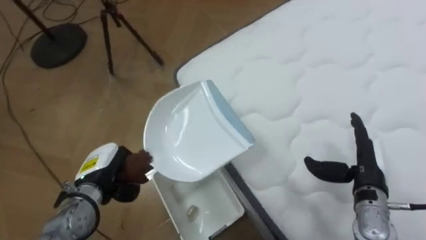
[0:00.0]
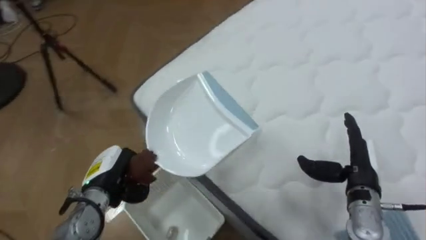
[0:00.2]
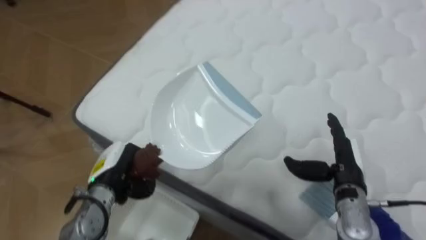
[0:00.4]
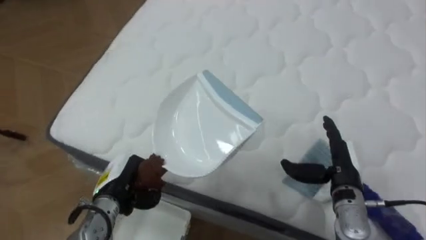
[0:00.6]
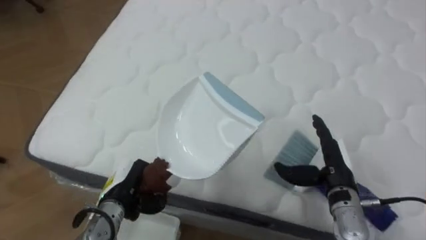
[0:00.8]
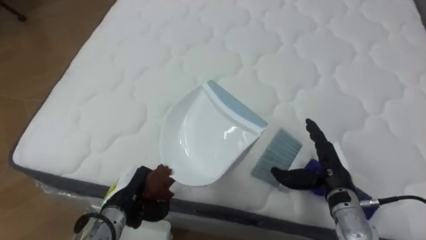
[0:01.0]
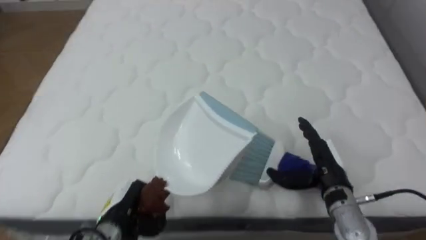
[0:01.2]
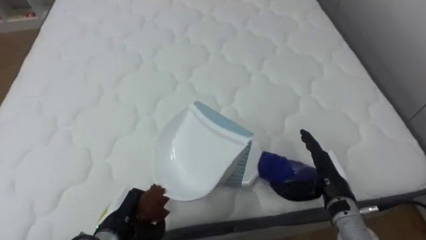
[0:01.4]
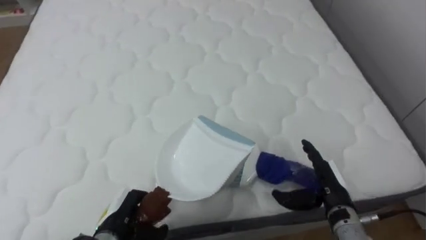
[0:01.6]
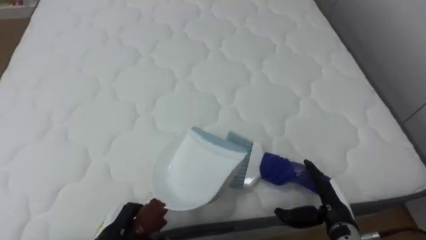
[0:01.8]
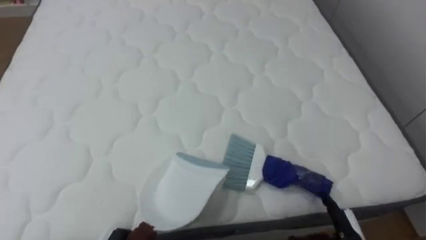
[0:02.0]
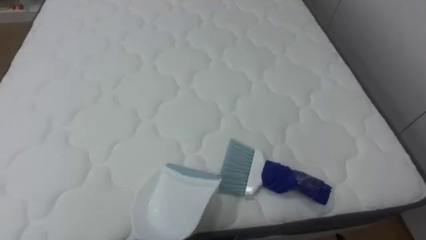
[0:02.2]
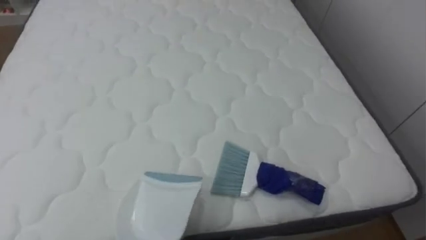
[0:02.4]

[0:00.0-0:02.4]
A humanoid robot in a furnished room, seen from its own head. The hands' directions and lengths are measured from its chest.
Task of the whole recording: Pick up the brush on your right and the dustpan on your left. Use the brush to sweep the crumpled paper on the bed into the dustpan, then turn left and empty it into the basket.
0:00.0 to 0:01.2: The robot faces approximately 65 degrees further to its right. The right hand heads to the left, covering about 5 cm. The left hand shifts approximately 5 cm backward.

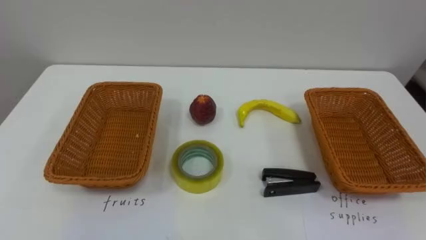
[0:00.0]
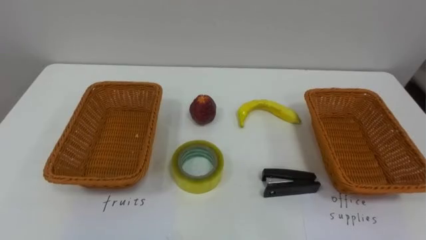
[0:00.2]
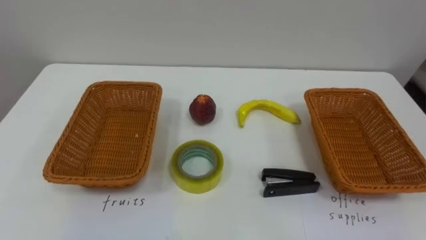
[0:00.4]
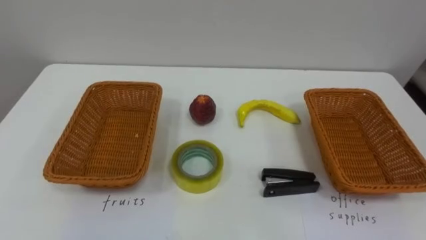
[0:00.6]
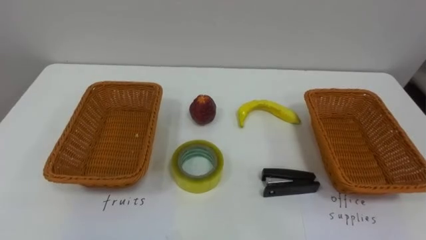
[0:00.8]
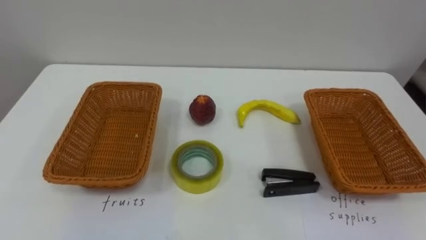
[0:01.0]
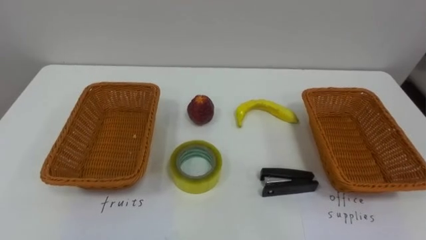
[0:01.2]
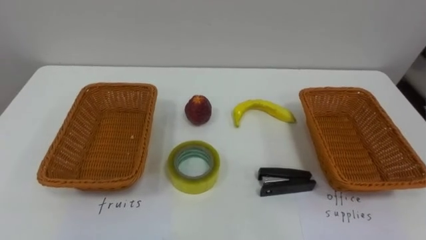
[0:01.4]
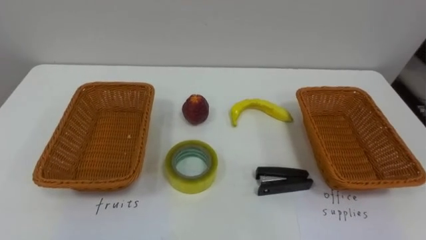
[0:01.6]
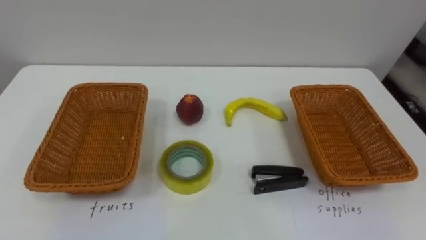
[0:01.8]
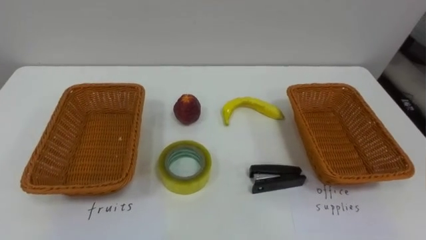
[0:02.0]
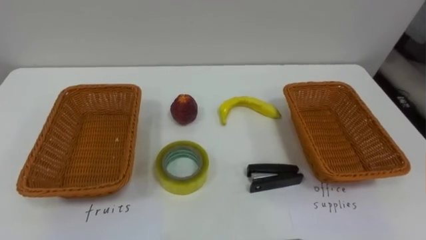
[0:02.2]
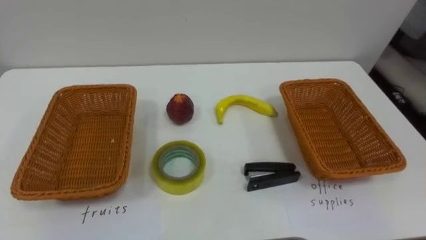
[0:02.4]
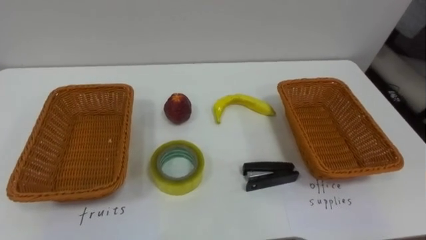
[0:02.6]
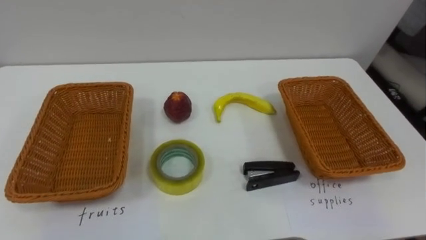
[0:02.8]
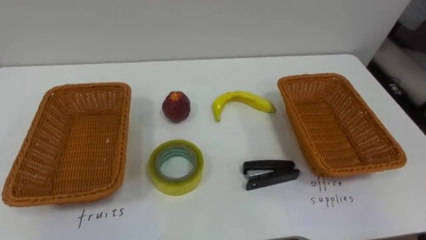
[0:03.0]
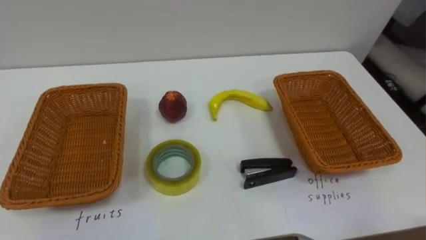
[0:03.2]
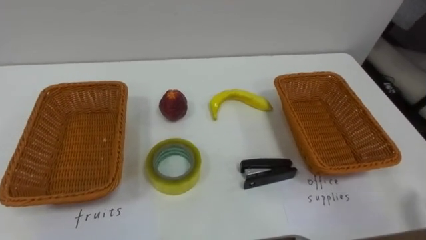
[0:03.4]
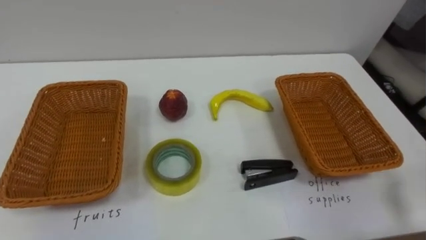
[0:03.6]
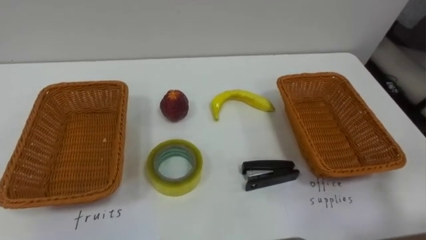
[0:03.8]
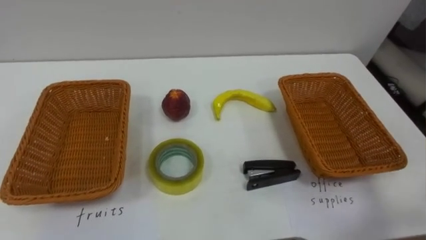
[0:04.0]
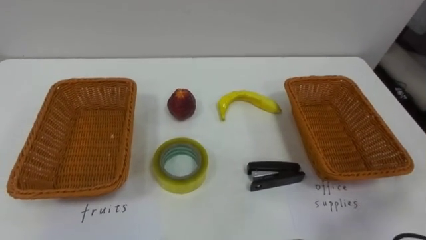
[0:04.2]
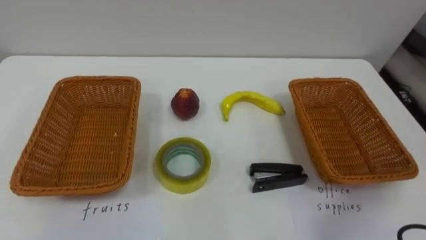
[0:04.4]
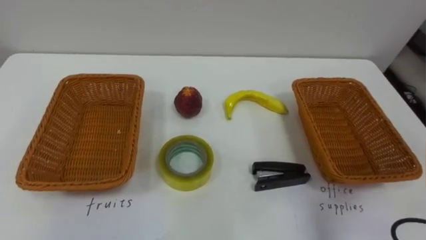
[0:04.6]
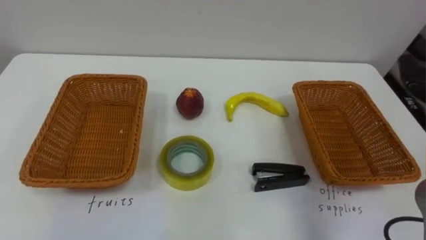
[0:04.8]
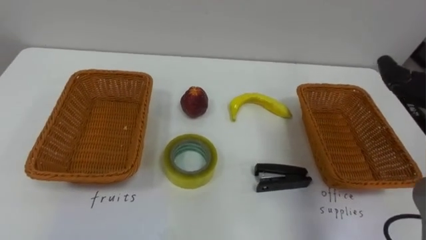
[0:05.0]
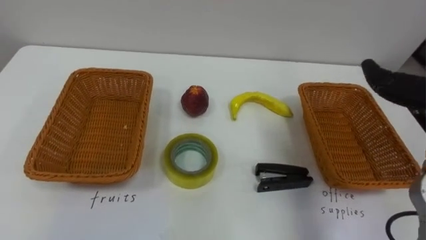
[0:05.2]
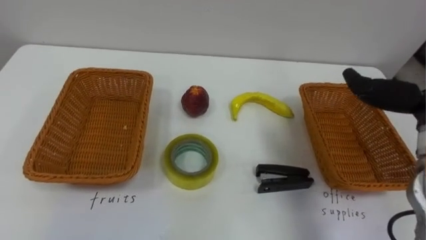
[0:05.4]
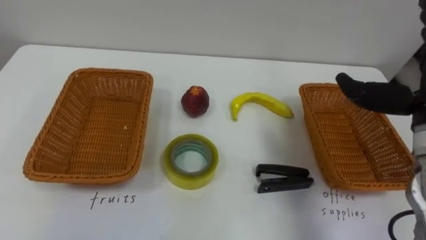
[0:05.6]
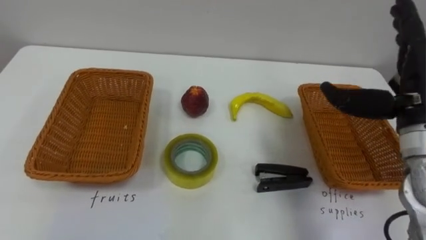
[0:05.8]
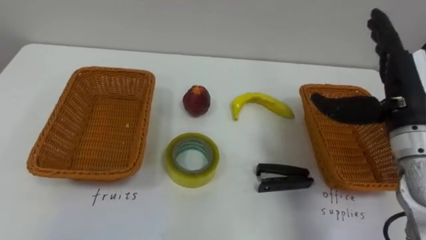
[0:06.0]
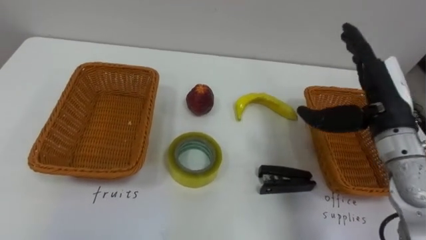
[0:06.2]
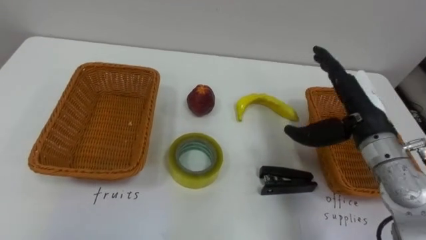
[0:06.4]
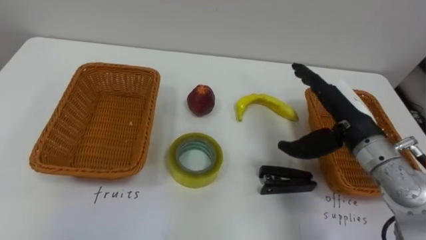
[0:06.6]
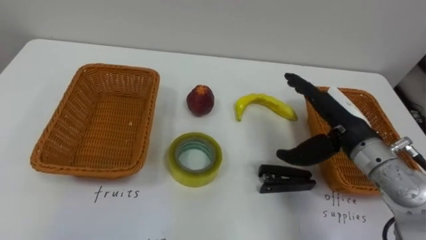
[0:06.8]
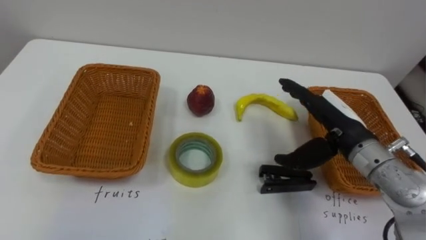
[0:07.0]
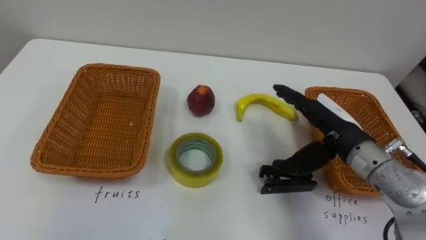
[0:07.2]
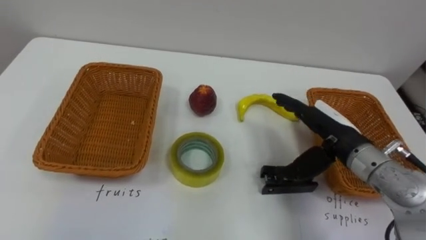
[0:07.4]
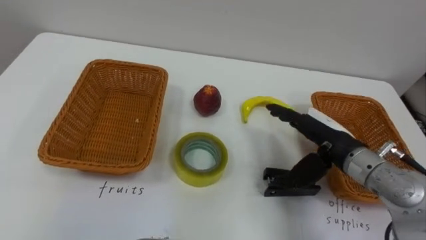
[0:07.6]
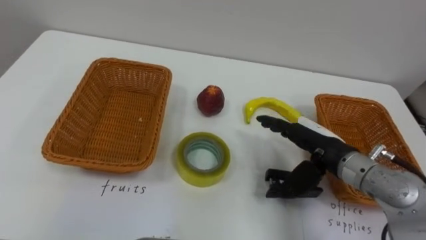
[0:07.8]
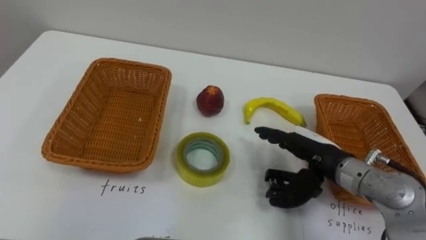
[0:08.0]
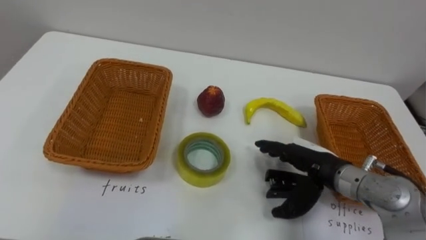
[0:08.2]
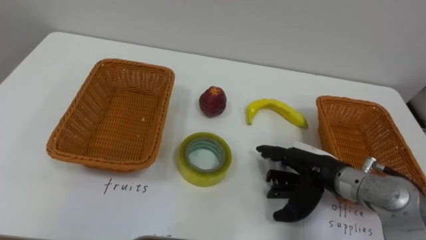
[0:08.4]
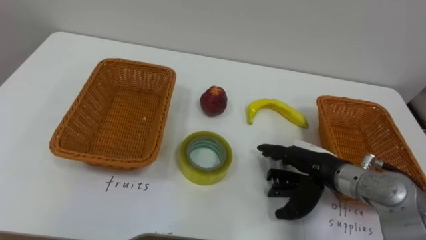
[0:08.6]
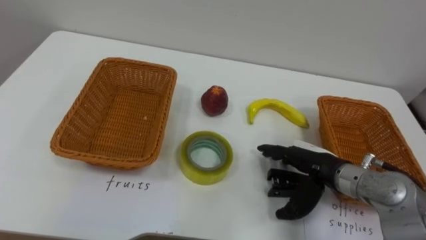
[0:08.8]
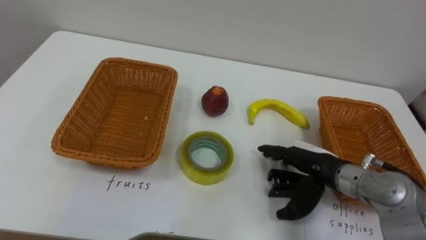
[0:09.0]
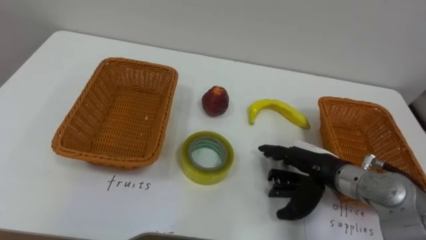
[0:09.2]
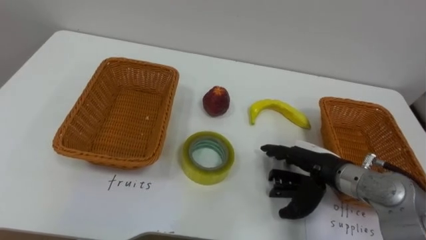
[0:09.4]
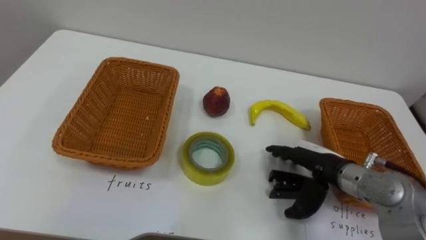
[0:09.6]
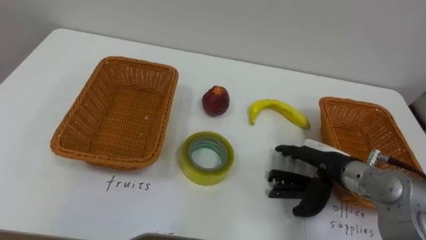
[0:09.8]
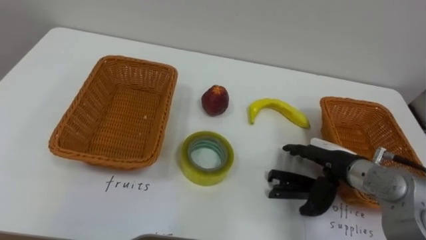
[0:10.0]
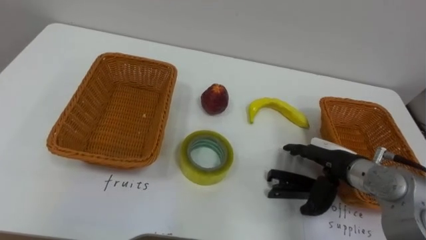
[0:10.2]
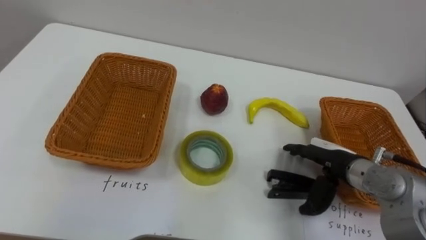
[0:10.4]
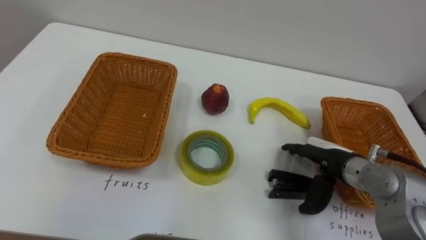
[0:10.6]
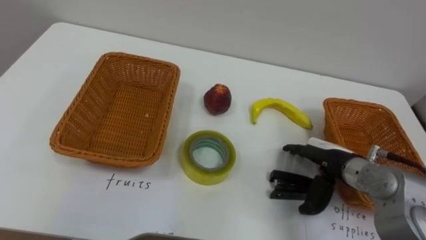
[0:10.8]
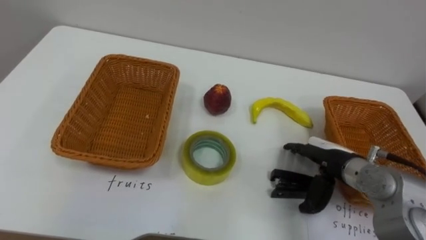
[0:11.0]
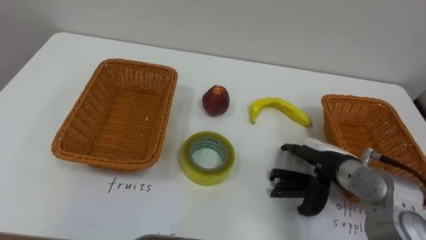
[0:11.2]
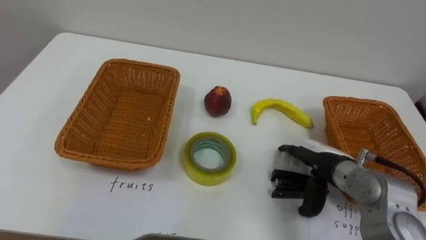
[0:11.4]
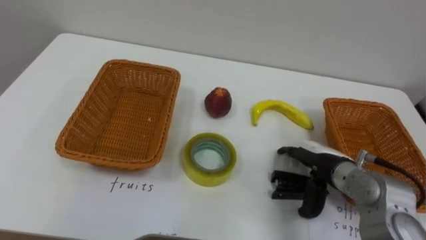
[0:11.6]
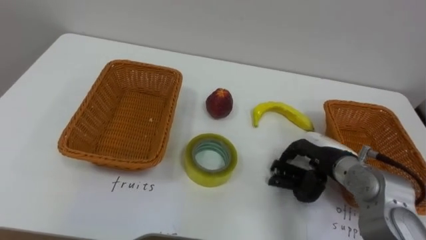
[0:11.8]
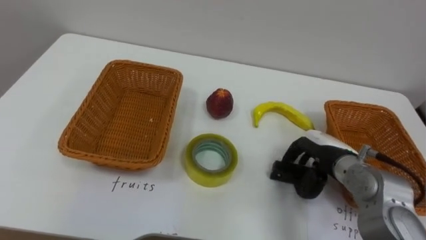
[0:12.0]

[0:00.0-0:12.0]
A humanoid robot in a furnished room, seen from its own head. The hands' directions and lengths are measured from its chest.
Task of the whole recording: Separate the items on the table and place them into the two baskets.
0:06.0 to 0:07.6: The right hand travels downward and to the left by about 10 cm.
0:07.6 to 0:09.0: The right hand heads downward, covering about 5 cm.
0:10.4 to 0:12.0: The right hand closes its fingers.

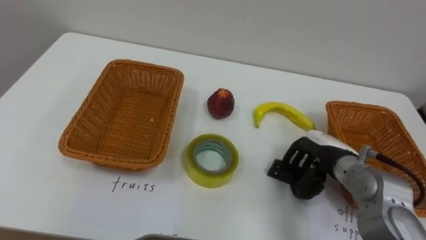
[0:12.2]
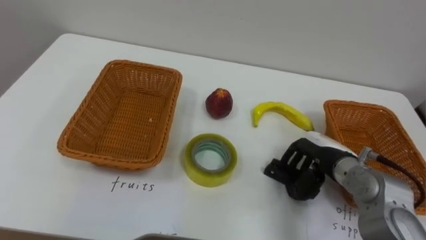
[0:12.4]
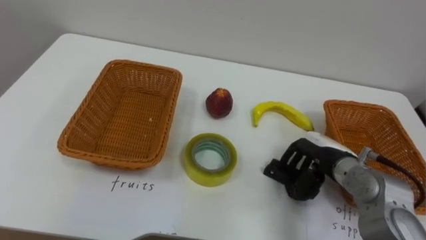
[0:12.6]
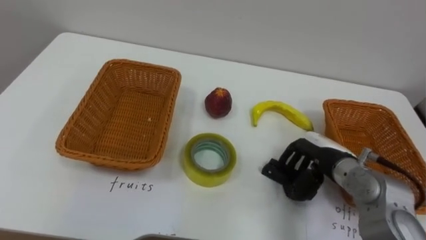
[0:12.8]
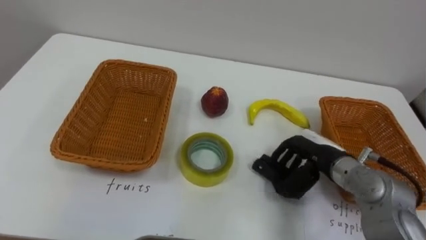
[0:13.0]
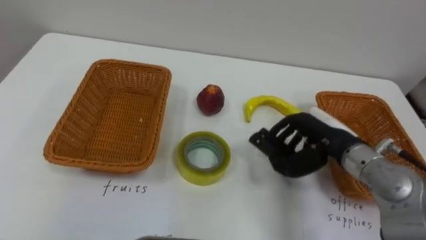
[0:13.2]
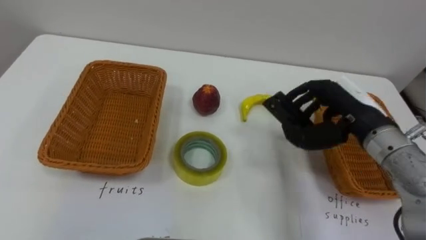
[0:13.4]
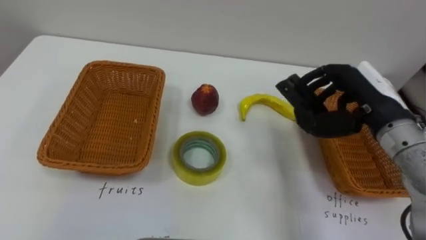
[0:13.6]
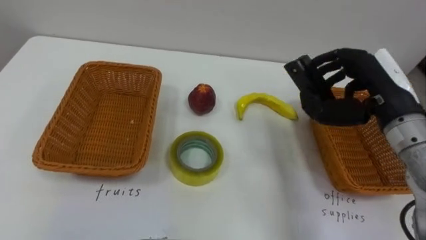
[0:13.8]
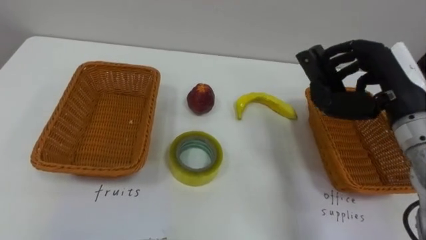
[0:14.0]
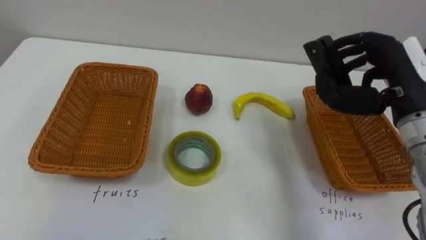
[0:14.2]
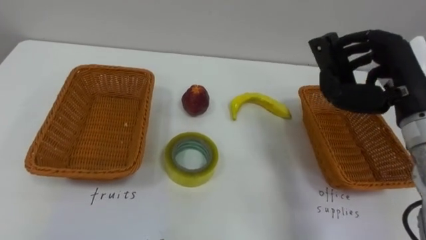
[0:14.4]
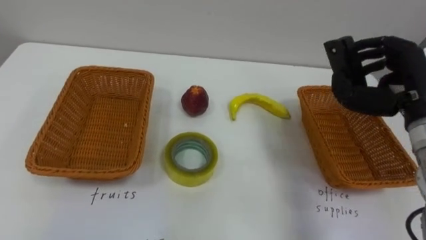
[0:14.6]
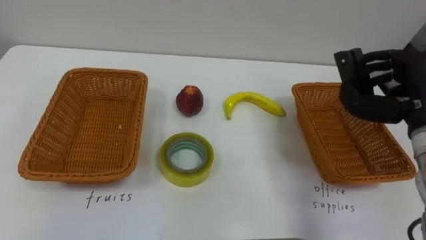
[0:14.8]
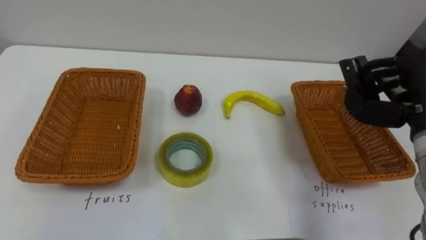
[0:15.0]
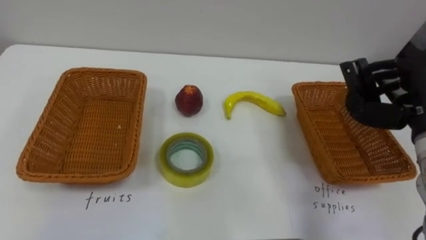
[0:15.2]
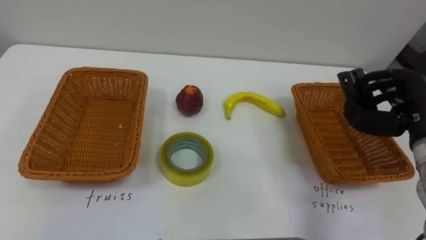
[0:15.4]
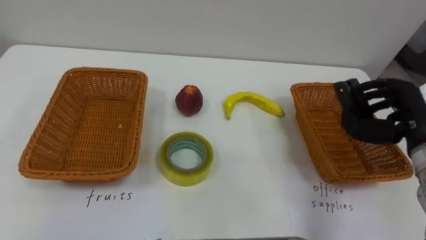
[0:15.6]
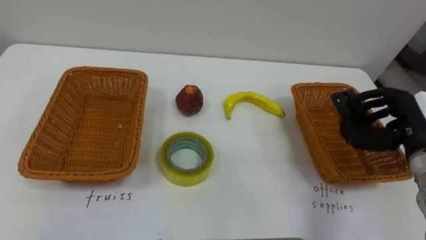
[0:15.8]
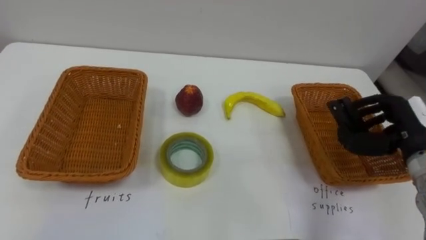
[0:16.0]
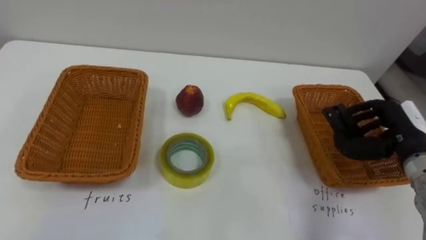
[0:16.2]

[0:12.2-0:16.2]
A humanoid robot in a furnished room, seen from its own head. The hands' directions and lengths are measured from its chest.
Task of the whole recording: Separate the items on the table and place them into the two baskets.
0:12.2 to 0:13.6: The right hand travels upward by approximately 15 cm.
0:13.6 to 0:14.8: The right hand is displaced to the right by some 5 cm.
0:14.8 to 0:16.2: The right hand moves downward, roughly 5 cm.
